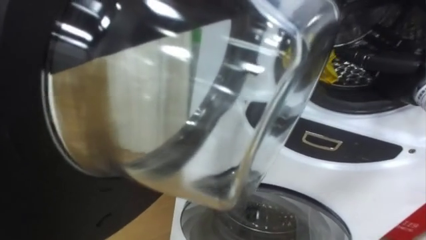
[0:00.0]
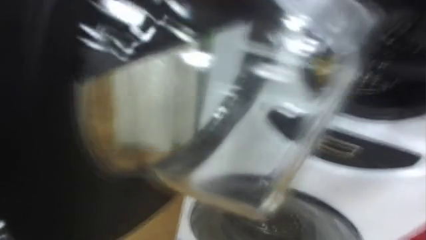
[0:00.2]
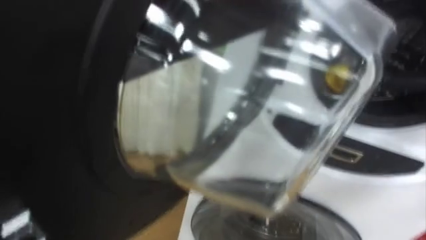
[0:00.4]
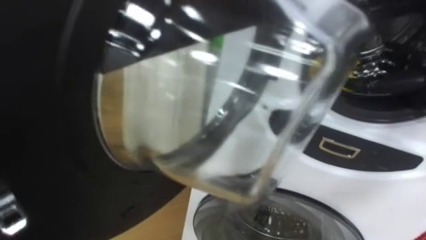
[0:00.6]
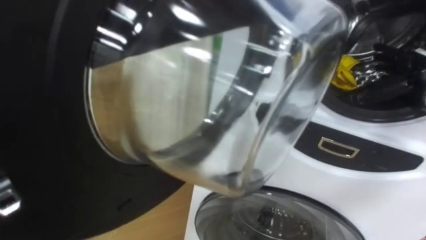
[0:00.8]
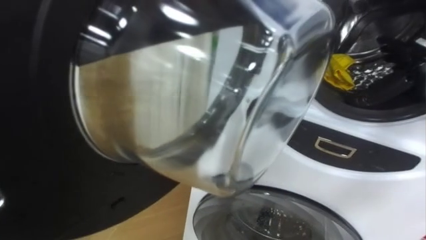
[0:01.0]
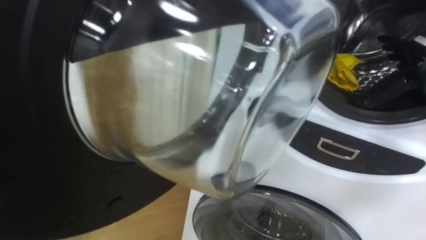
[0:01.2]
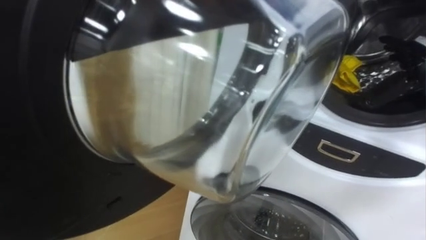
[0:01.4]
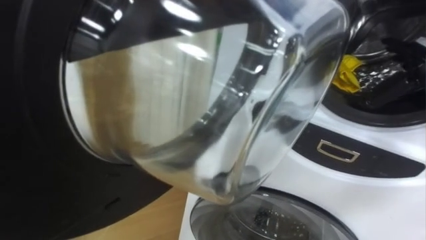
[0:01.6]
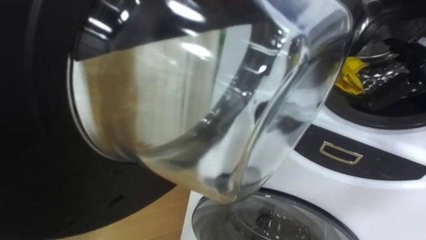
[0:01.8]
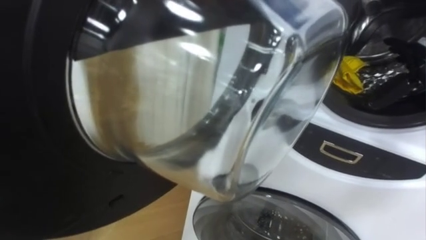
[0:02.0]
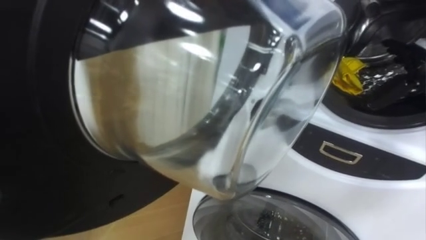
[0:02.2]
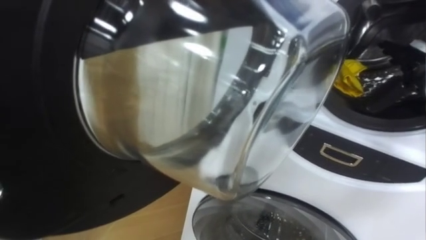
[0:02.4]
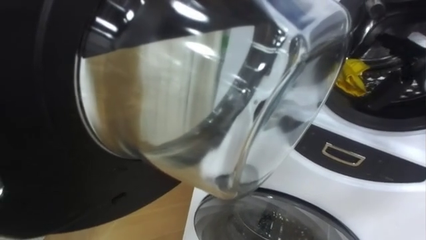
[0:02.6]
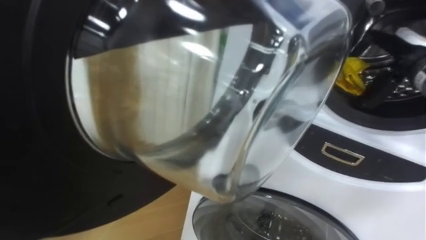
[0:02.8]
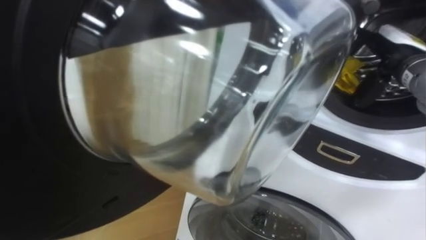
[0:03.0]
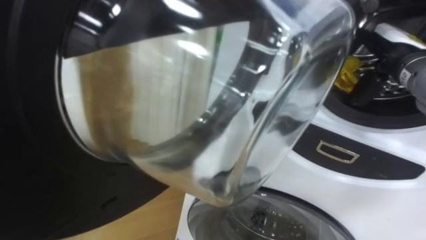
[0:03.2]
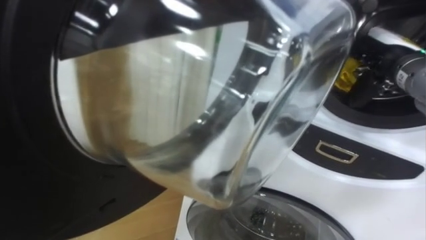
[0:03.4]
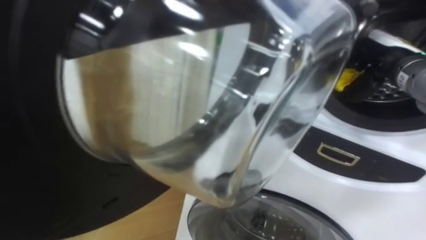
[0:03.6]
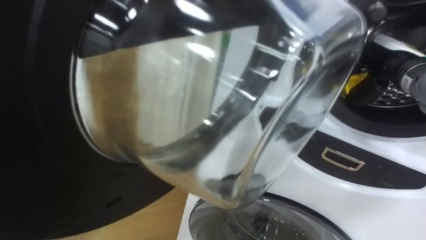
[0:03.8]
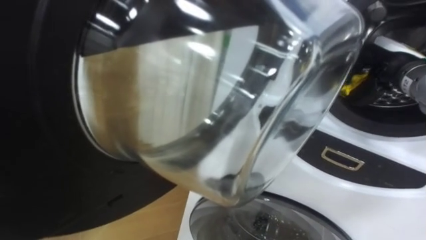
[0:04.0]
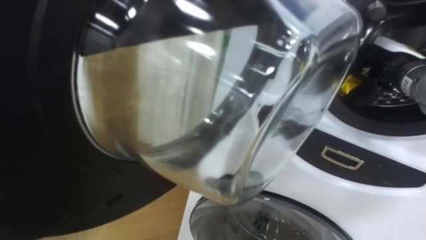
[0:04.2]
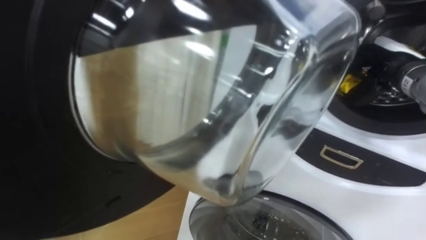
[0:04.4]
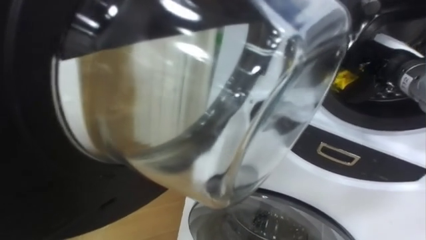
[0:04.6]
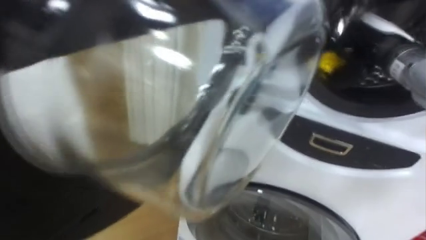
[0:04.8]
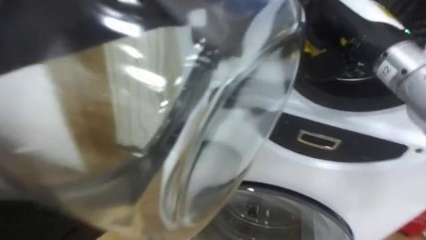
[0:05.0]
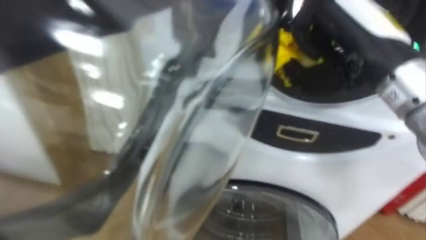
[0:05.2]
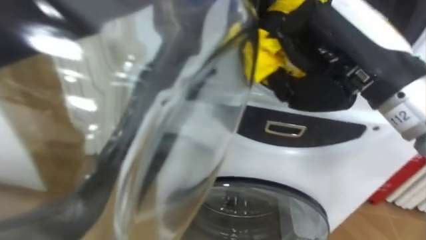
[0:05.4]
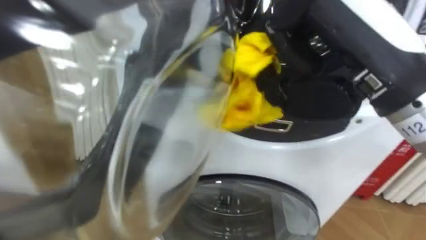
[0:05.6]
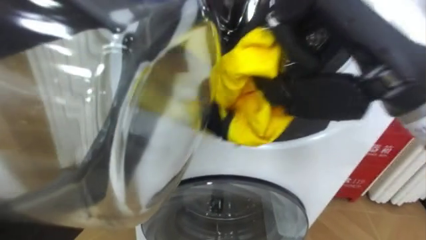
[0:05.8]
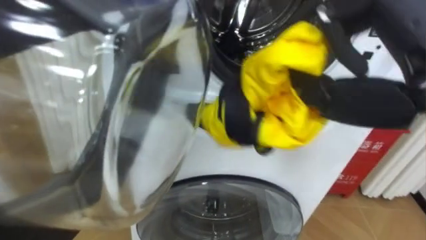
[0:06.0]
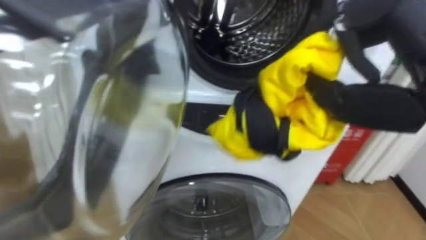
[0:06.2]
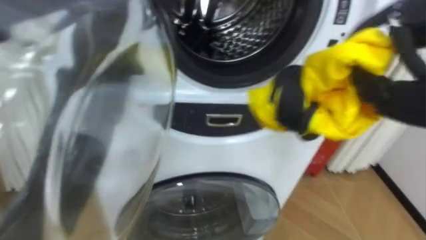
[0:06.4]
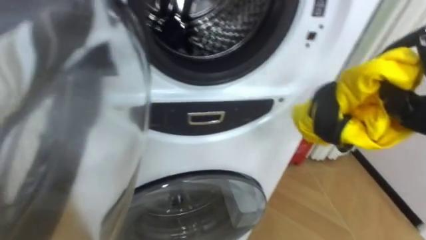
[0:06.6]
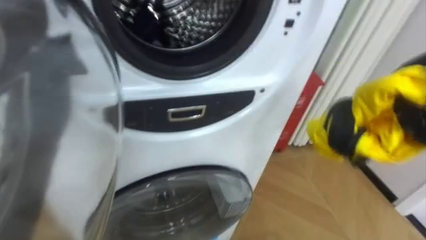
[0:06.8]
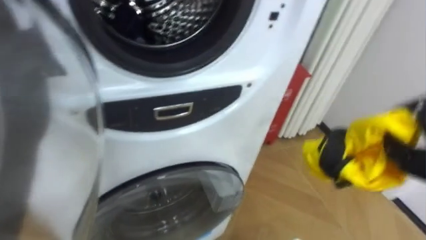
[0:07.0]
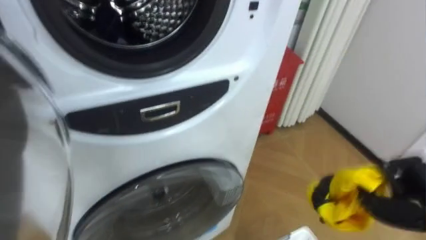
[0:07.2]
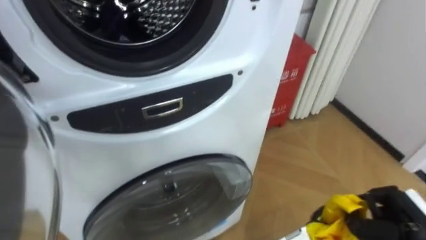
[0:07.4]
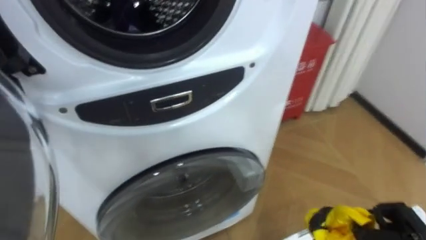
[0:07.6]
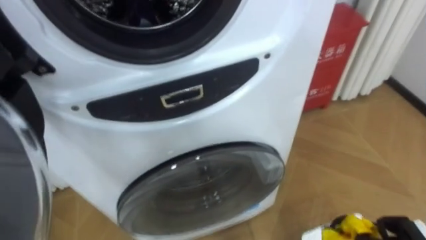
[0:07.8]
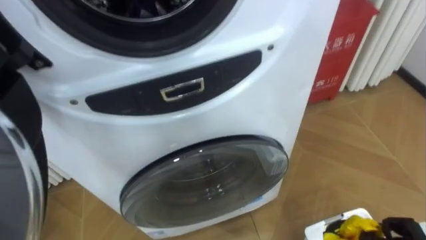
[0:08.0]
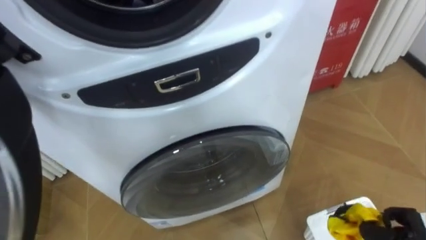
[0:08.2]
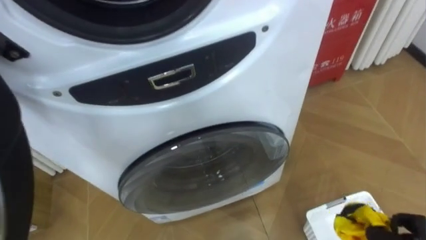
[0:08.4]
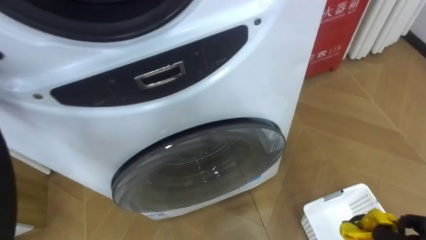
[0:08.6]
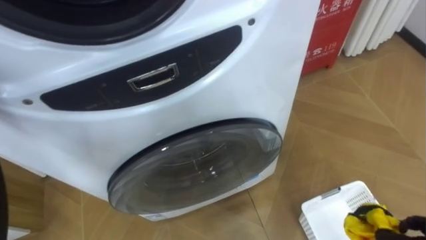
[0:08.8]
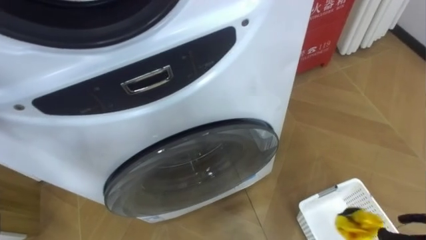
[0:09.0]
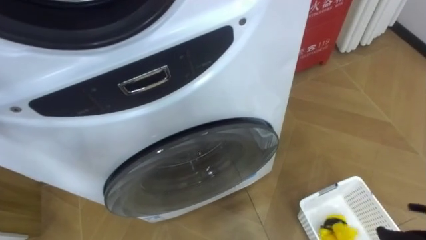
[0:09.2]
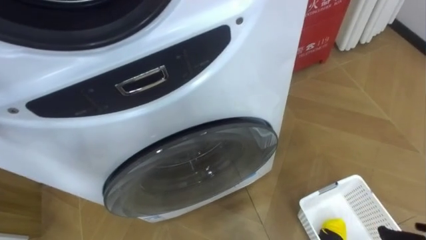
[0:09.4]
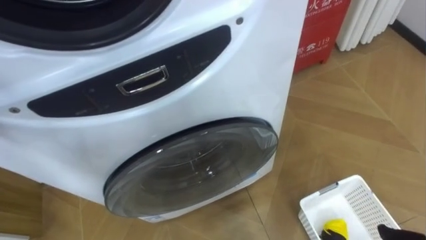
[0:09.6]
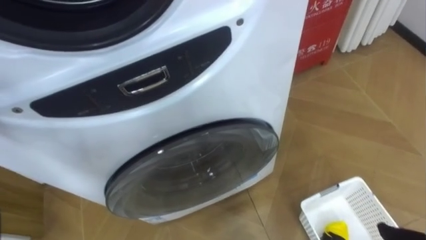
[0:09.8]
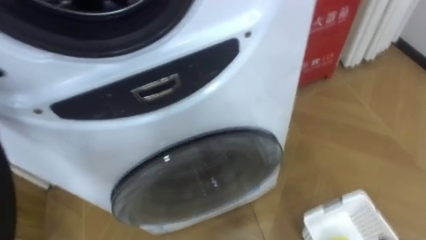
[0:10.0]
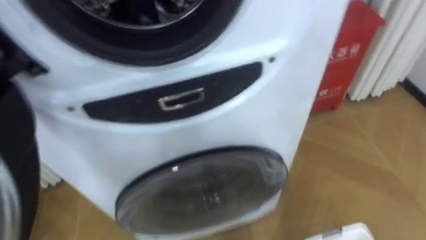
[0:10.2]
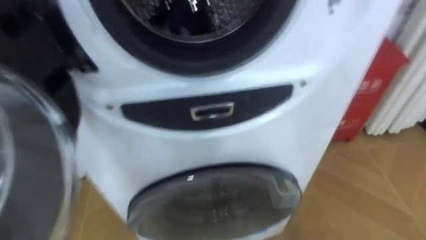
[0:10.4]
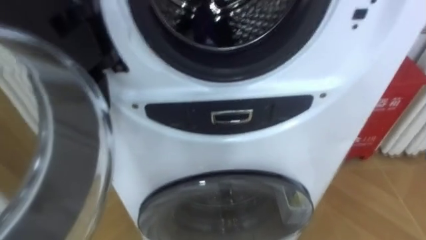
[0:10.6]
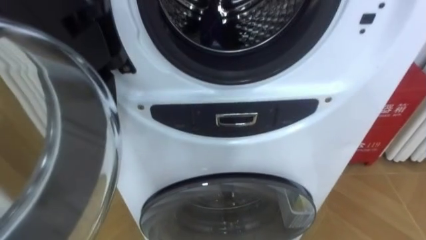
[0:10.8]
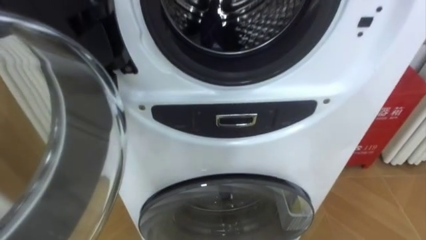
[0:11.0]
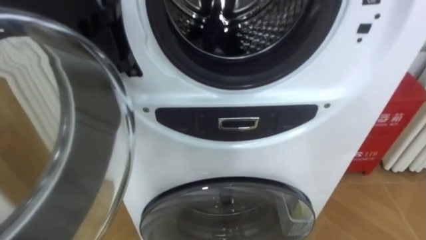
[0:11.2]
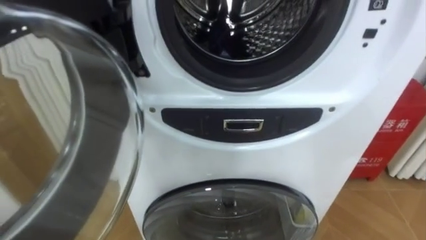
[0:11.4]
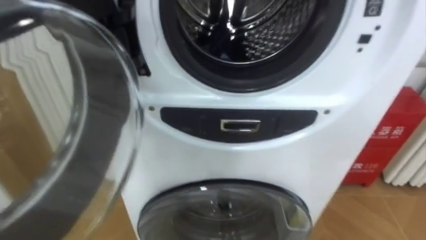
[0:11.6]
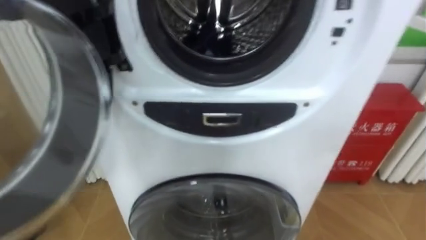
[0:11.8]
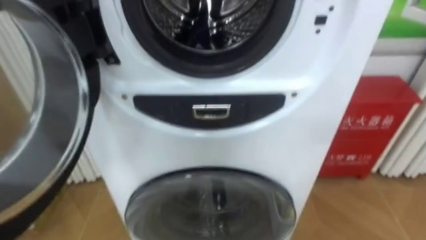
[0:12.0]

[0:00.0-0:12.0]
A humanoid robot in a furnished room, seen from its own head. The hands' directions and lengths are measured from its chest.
Task of the whole recording: Open the washing machine door, take out the yellow clothes, place them in the box on the right, and close the washing machine door.
0:01.6 to 0:03.0: The right hand shifts about 5 cm to the left.
0:03.0 to 0:04.4: The right hand closes its fingers.
0:04.4 to 0:06.0: The right hand heads backward, upward and to the left, covering some 25 cm.
0:06.0 to 0:07.6: The robot rotates roughly 15 degrees to its right.

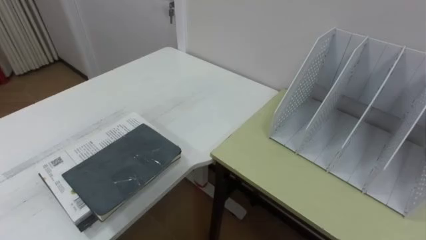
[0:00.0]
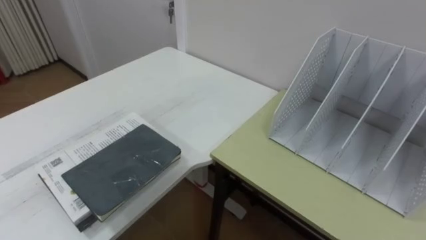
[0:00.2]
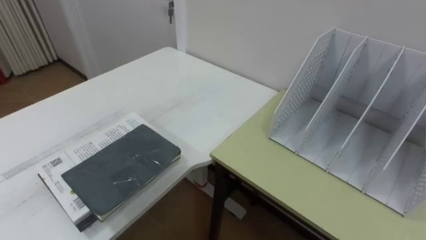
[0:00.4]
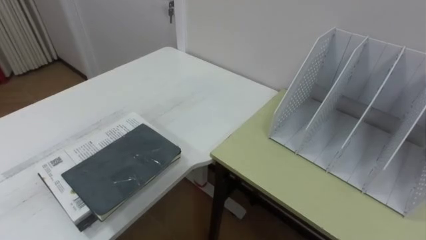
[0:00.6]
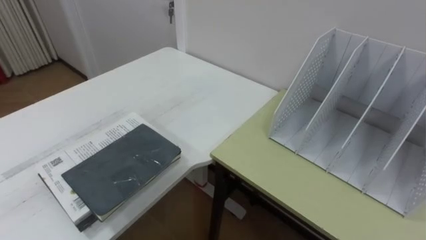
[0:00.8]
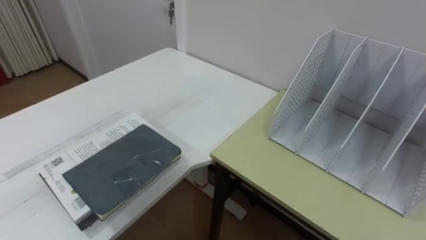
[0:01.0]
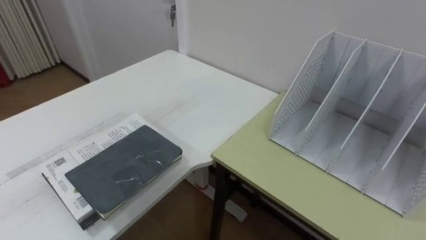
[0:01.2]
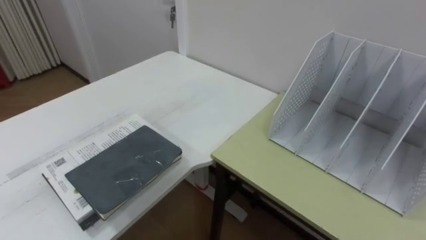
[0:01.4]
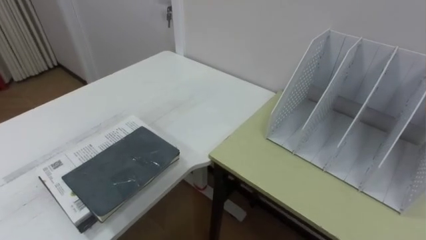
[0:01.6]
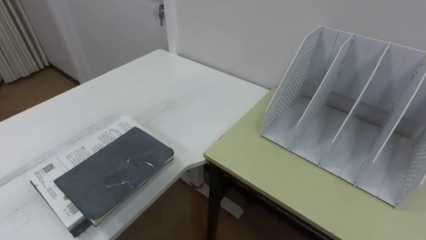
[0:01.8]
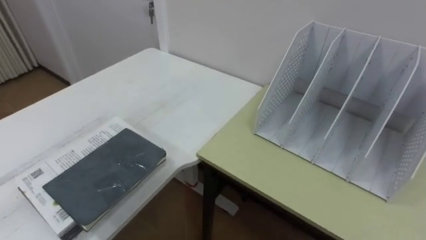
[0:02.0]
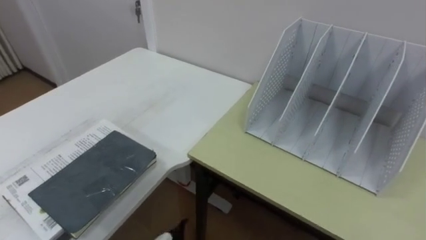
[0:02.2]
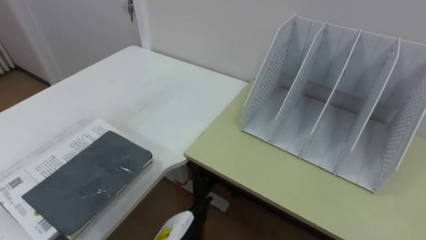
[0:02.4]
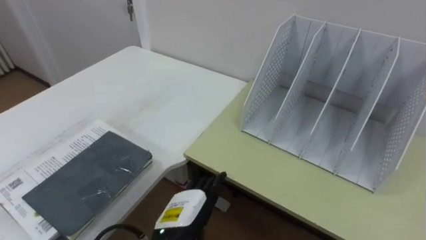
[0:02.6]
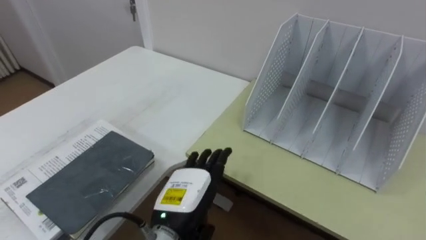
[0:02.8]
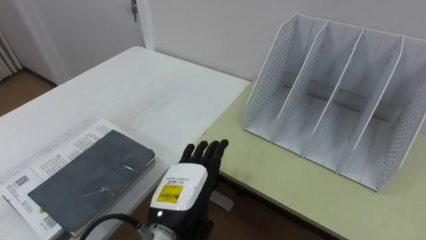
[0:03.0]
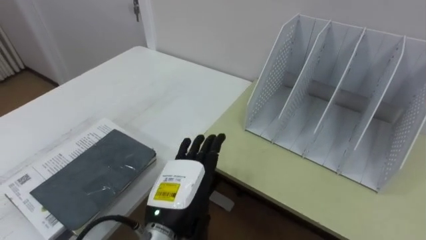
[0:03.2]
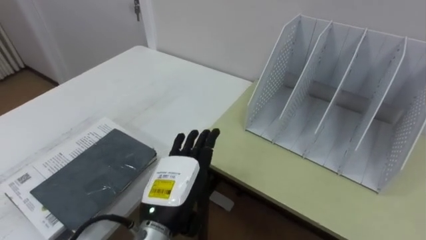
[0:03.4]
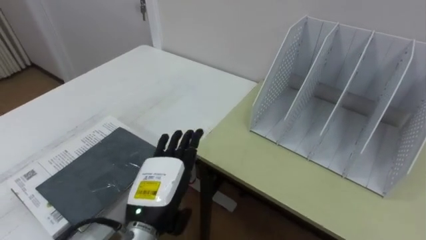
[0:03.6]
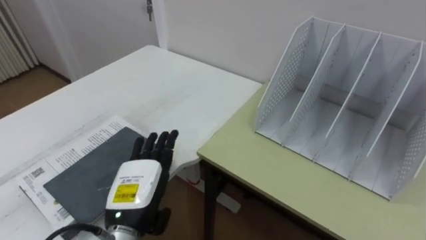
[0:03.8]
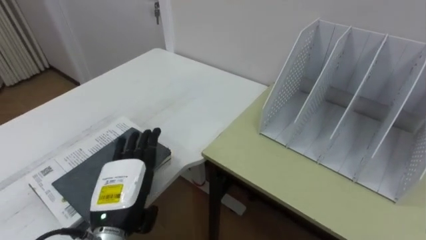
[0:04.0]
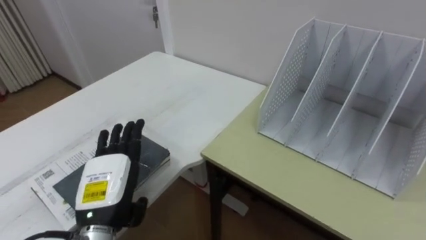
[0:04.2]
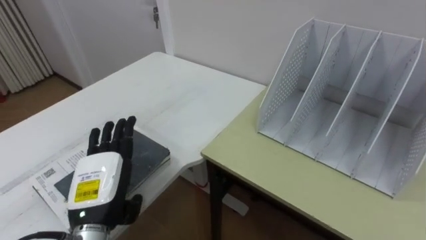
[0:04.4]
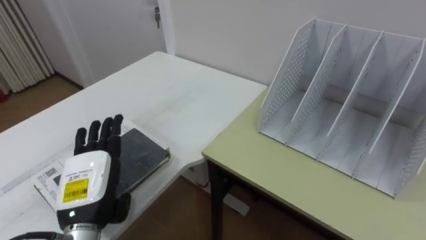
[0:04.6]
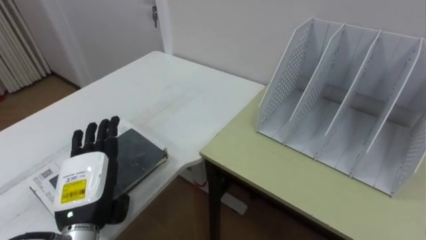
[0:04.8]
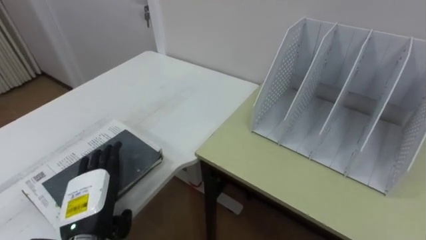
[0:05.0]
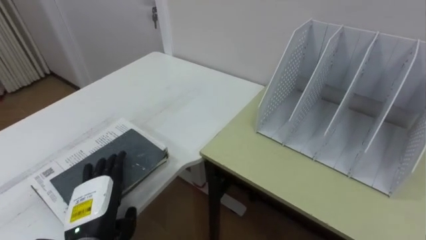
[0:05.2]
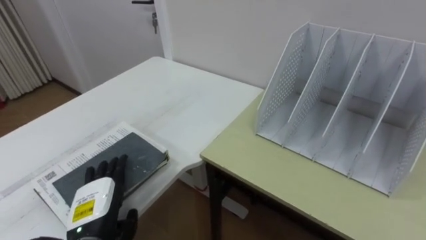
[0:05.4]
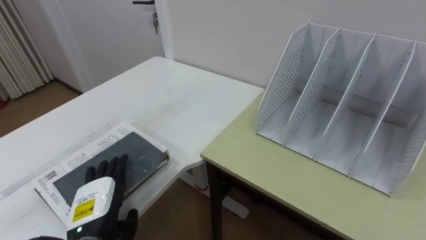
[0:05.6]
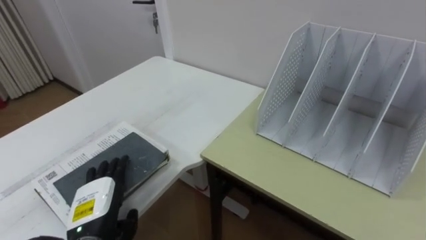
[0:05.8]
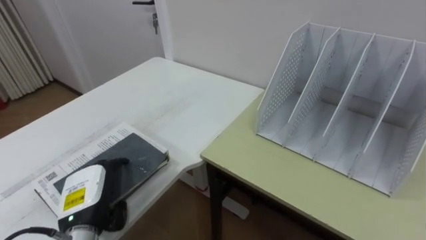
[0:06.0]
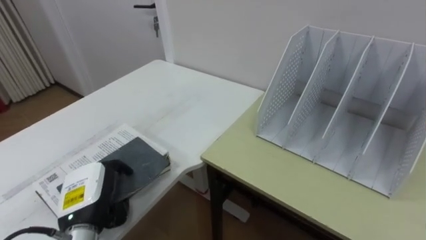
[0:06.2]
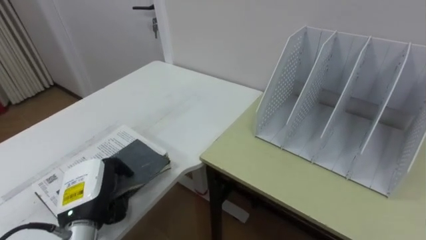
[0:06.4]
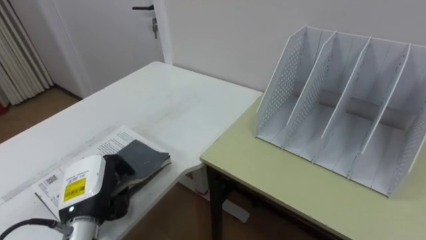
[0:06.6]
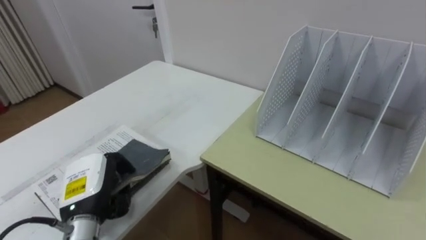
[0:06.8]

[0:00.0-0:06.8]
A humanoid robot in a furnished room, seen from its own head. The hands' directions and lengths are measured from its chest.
Task of the whole recording: Put the books on the table onto the bookshelf.
0:02.8 to 0:04.0: The left hand shifts approximately 10 cm to the left.
0:04.0 to 0:05.4: The left hand travels to the left and downward by some 10 cm.
0:05.4 to 0:06.8: The left hand closes up.
